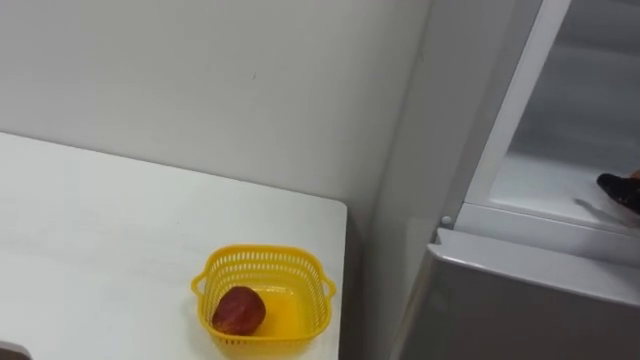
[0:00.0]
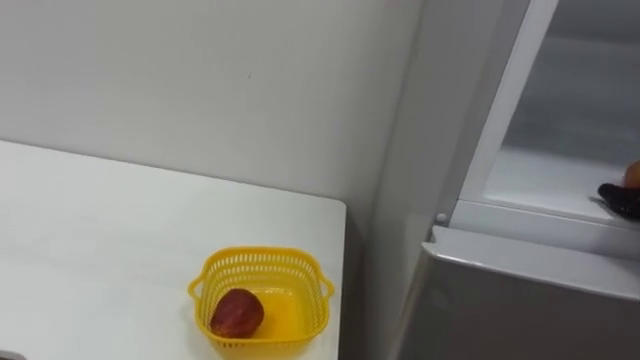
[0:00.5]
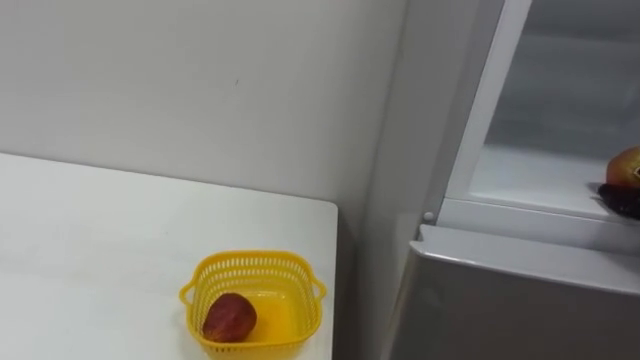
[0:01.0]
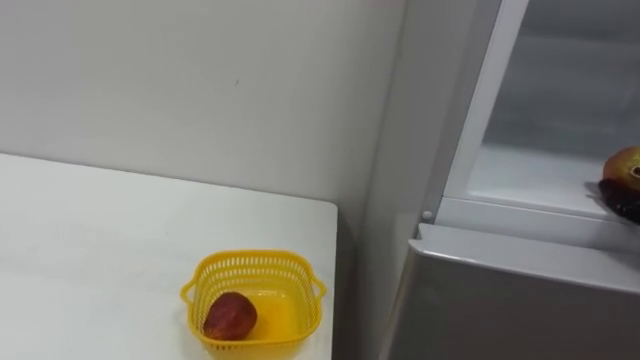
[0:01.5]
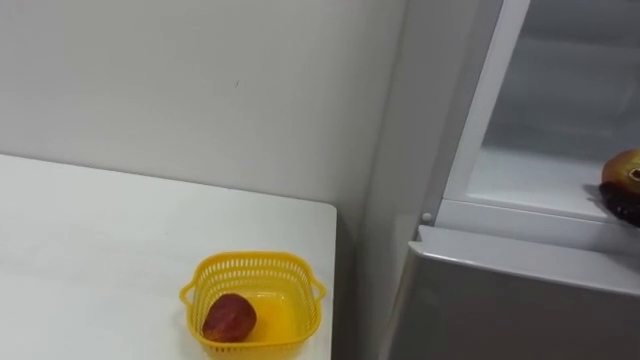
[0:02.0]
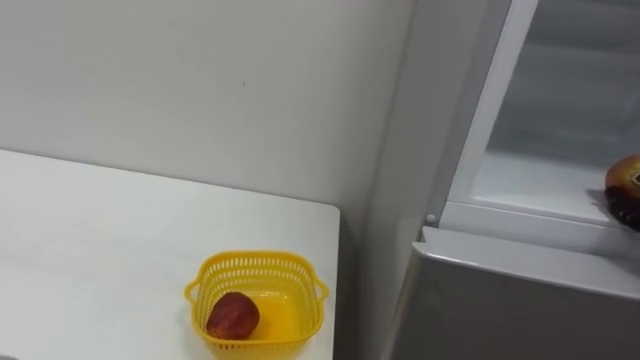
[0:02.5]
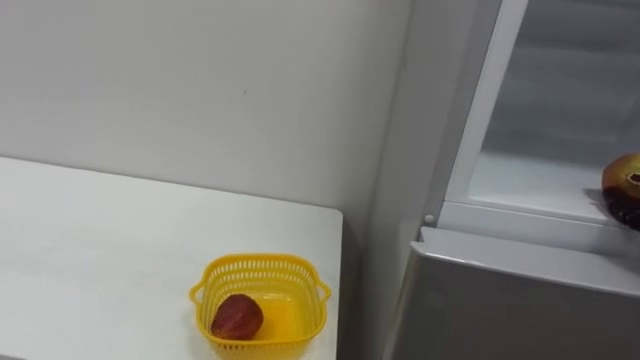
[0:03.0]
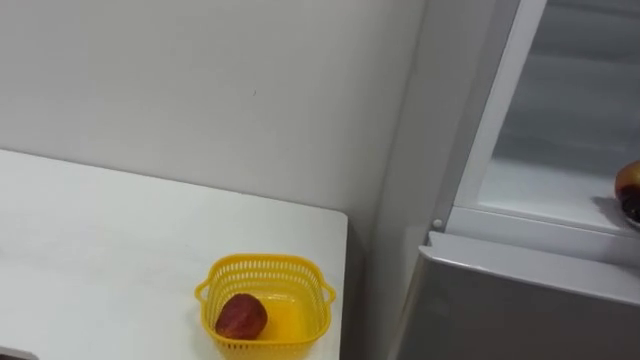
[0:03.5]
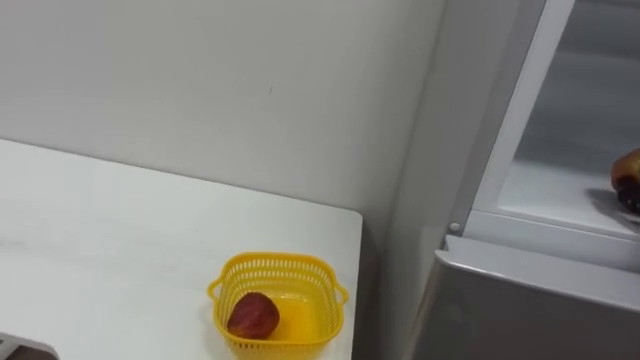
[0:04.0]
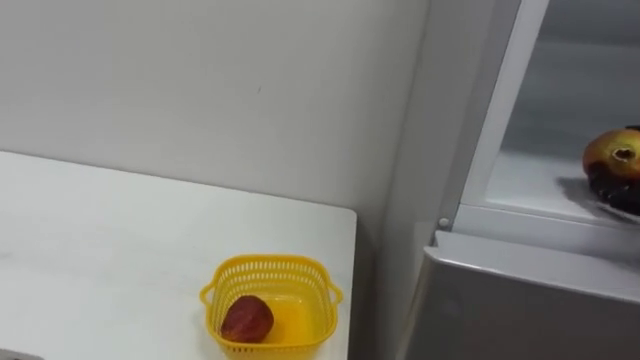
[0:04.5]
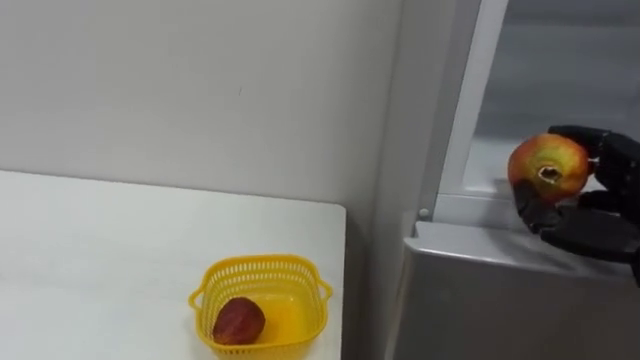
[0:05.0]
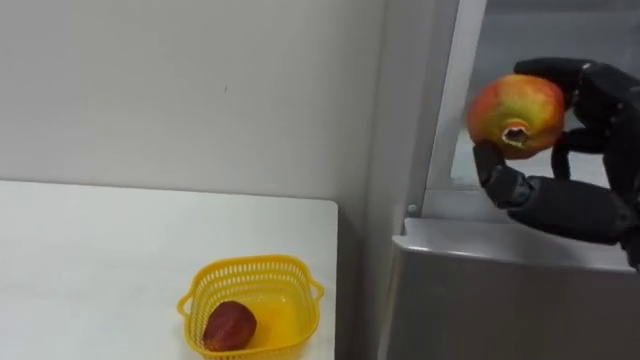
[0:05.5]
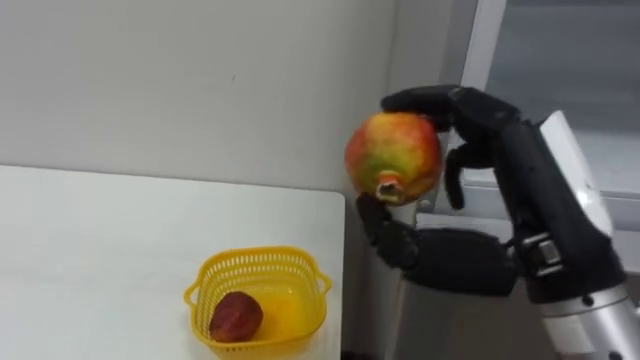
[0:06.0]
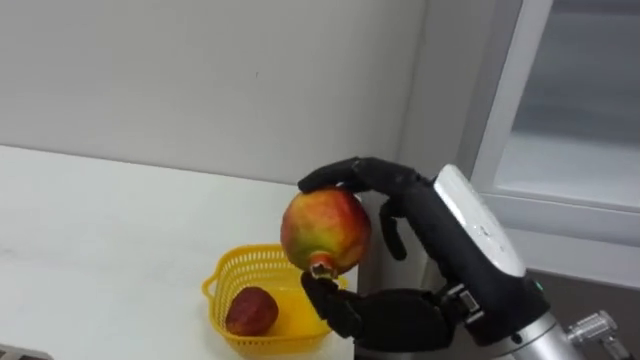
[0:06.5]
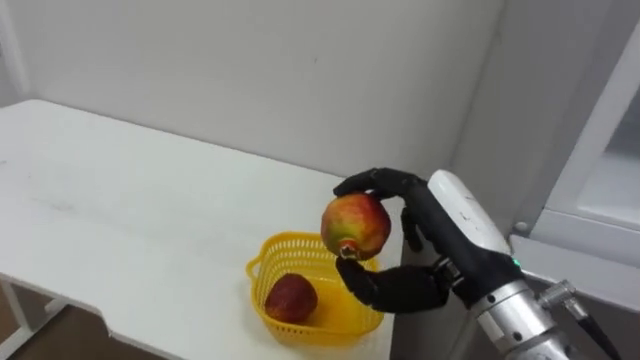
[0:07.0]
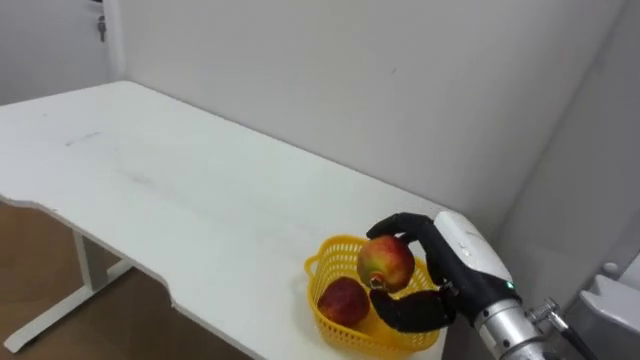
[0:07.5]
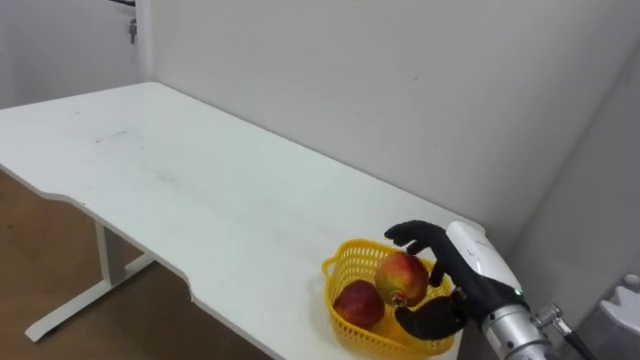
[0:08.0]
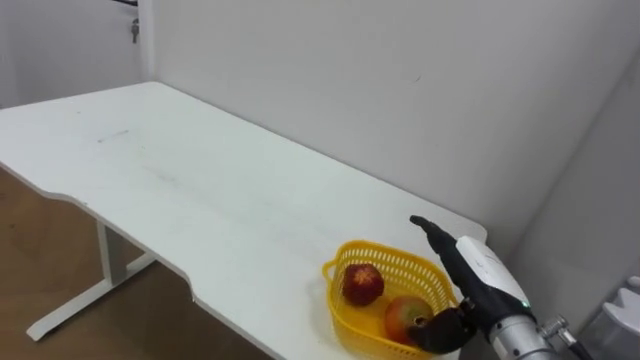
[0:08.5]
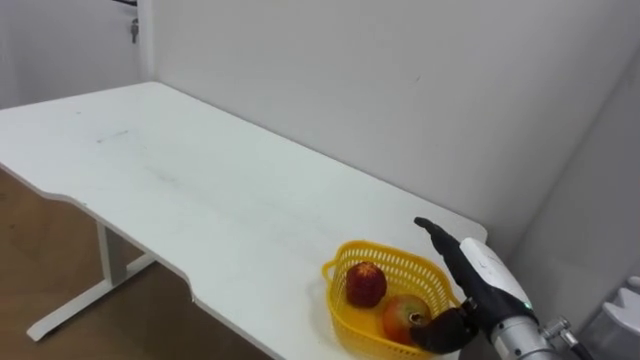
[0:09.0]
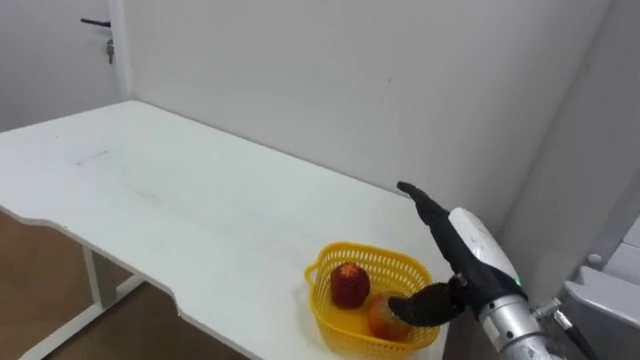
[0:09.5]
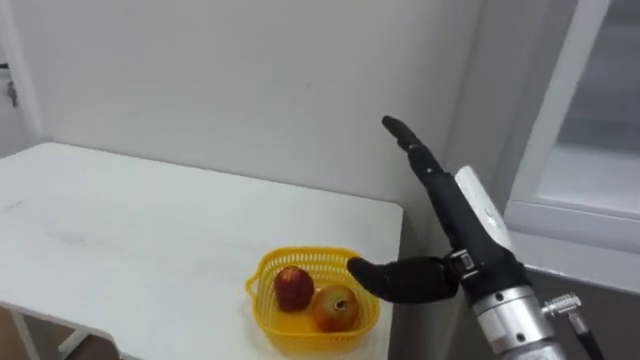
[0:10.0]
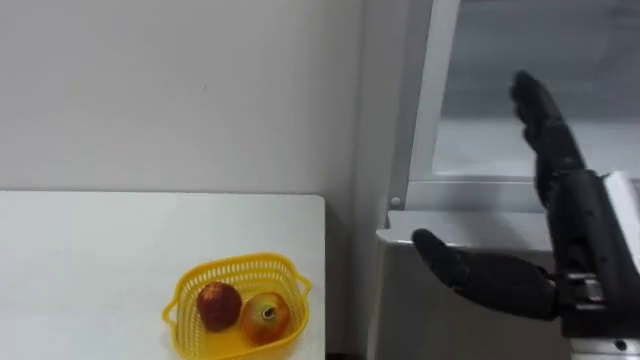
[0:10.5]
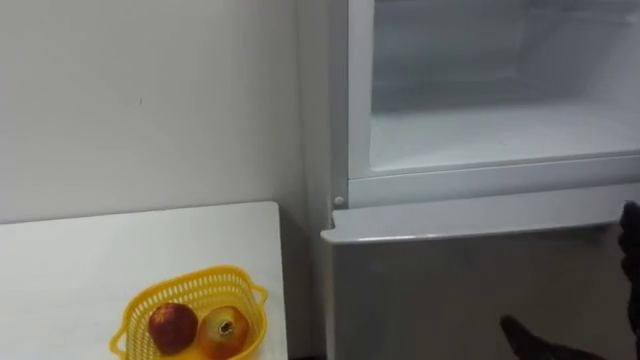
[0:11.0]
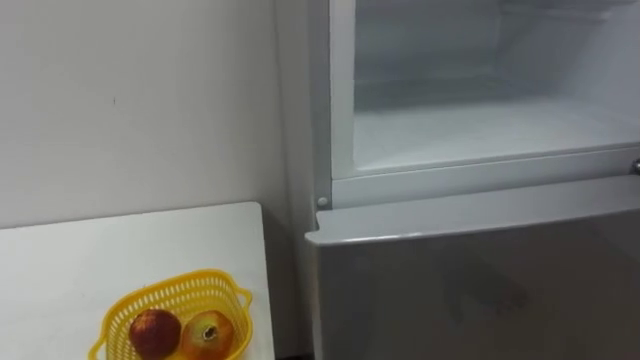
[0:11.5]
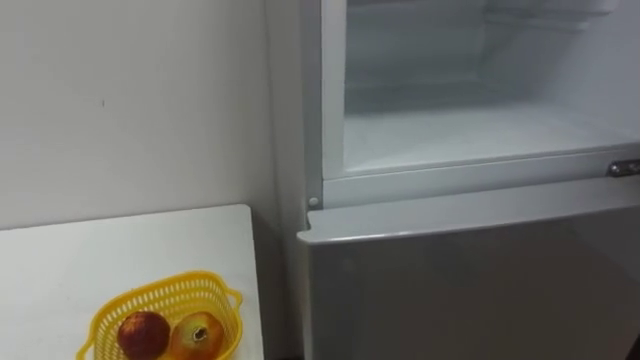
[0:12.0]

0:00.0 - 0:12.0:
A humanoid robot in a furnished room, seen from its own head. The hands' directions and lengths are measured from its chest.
Task of the whole recording: Open the refrigerator door, take out the apple and the pomegranate, place them in the fruit basket on the left, and close the refrigerator door.
0:06.0 - 0:08.0: The right hand heads downward and forward, covering roughly 20 cm.
0:08.0 - 0:10.0: The right hand is displaced upward by roughly 10 cm, and opens up.

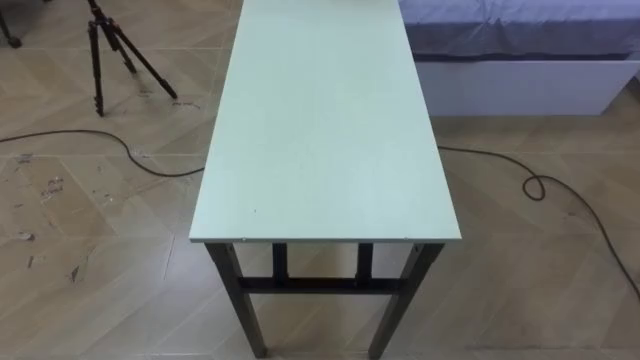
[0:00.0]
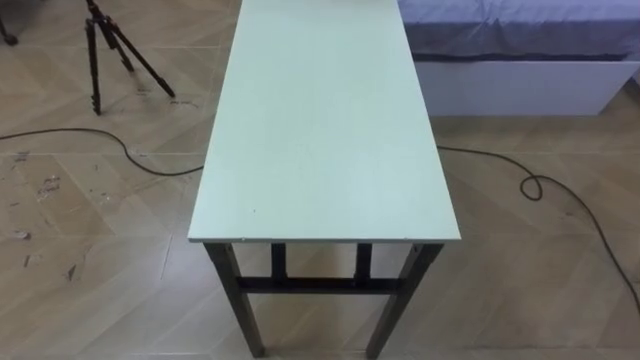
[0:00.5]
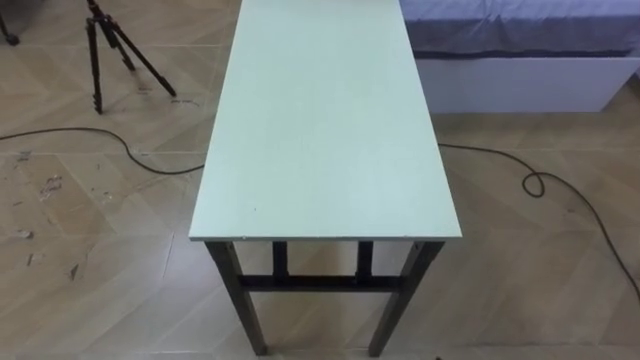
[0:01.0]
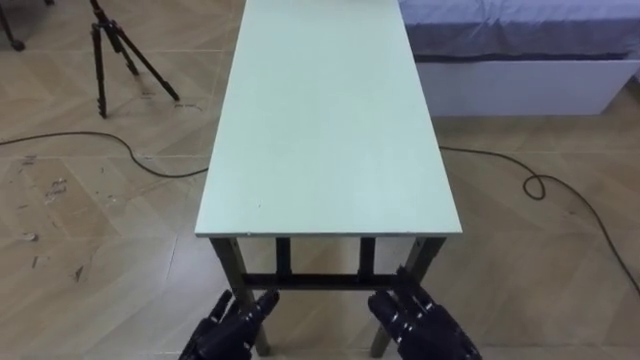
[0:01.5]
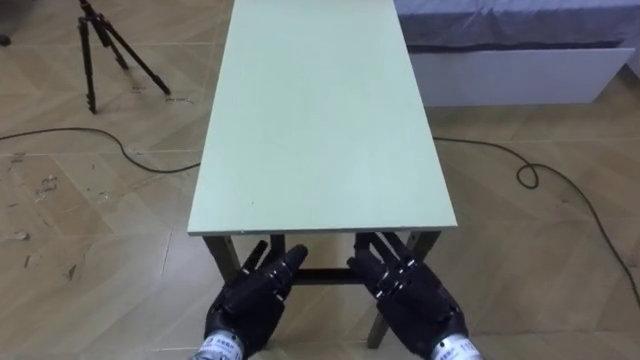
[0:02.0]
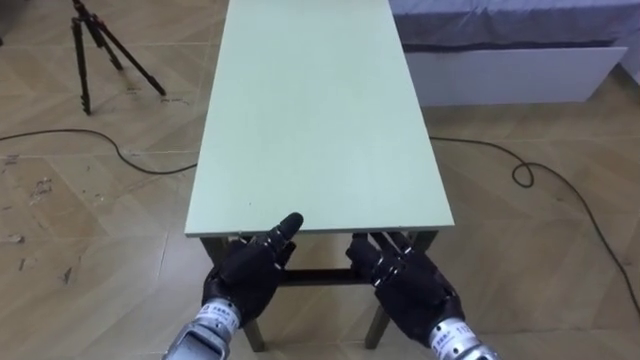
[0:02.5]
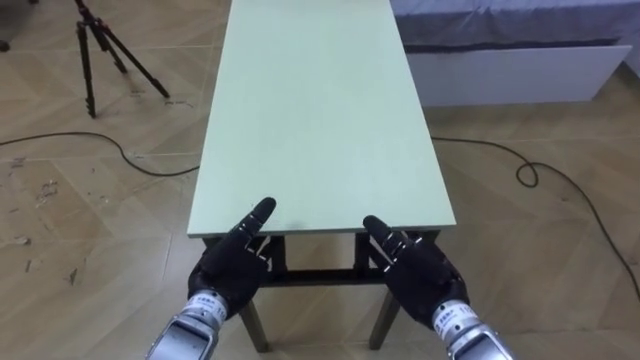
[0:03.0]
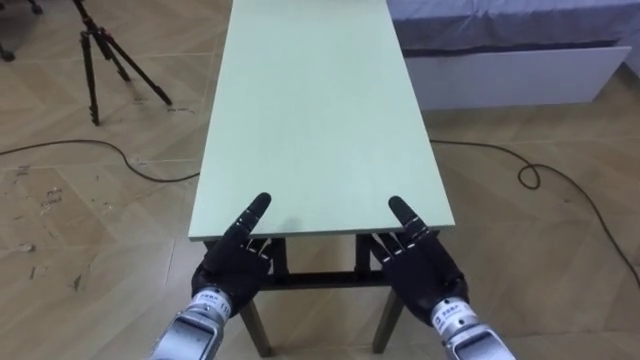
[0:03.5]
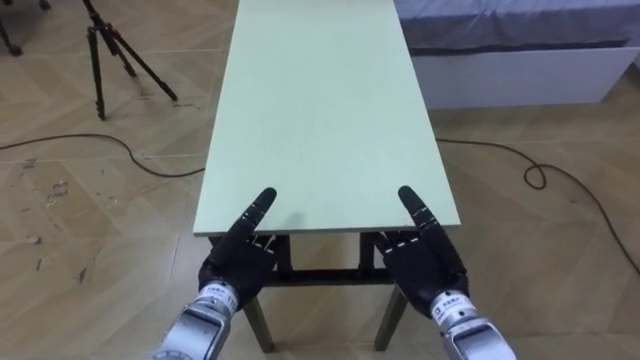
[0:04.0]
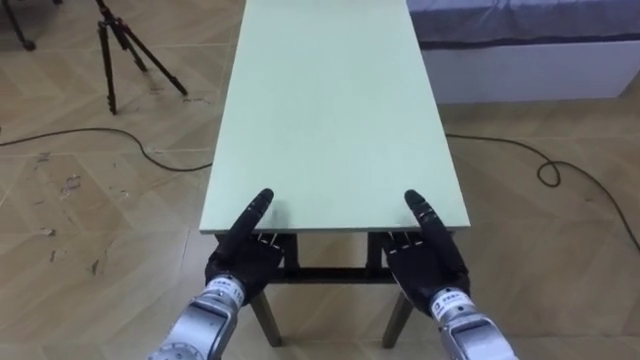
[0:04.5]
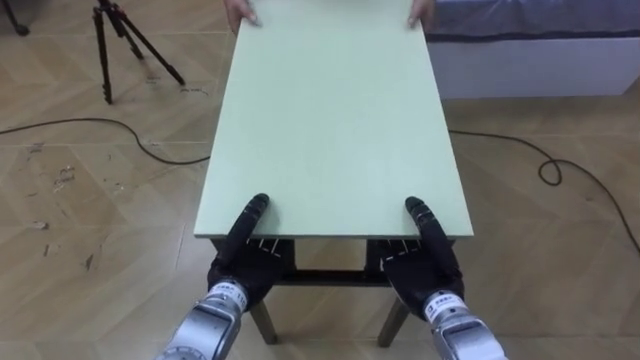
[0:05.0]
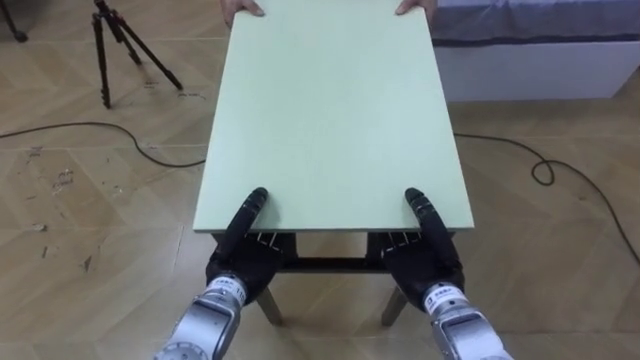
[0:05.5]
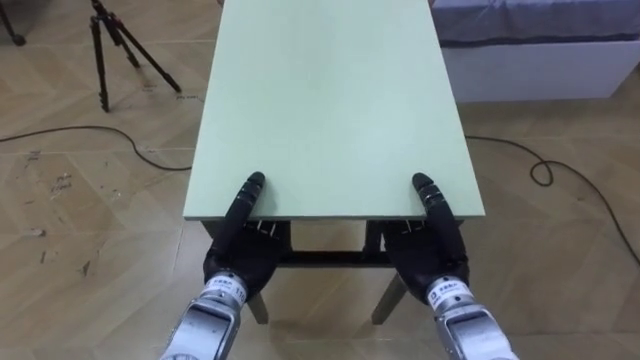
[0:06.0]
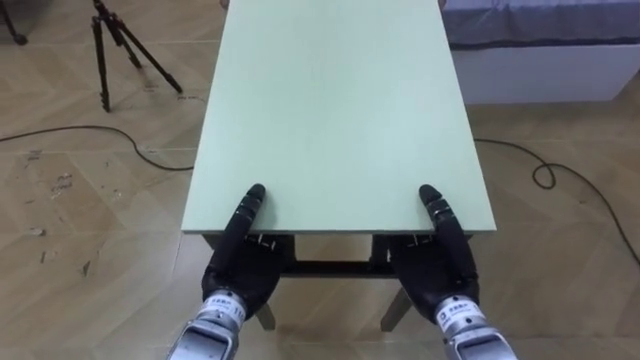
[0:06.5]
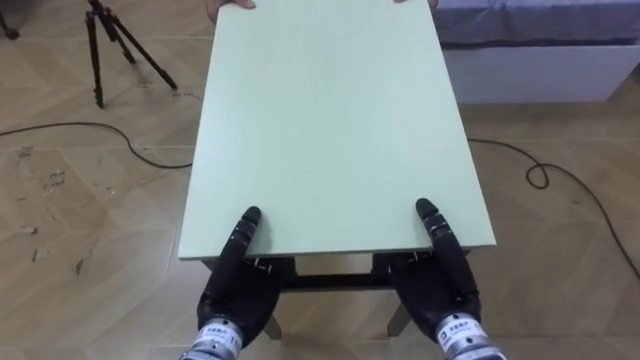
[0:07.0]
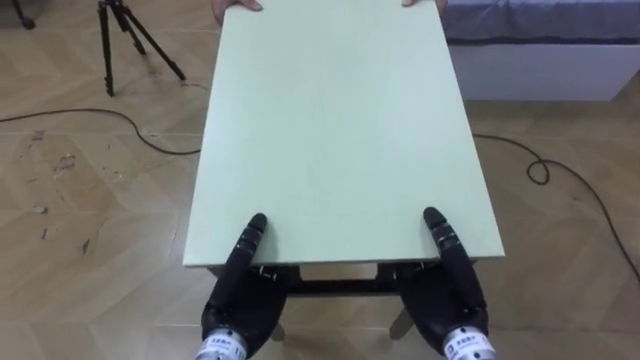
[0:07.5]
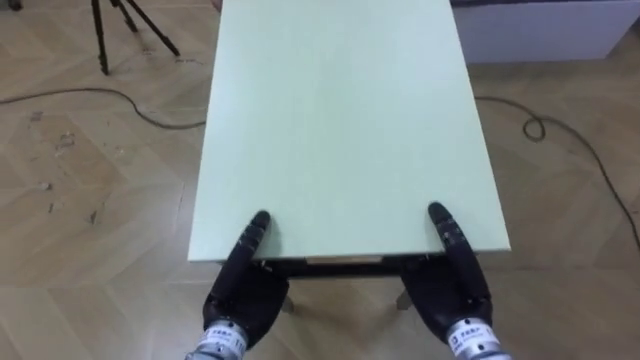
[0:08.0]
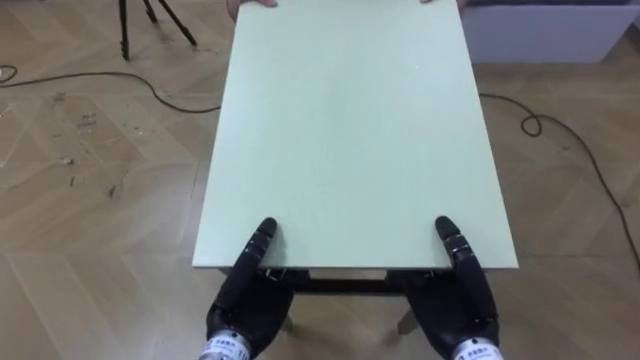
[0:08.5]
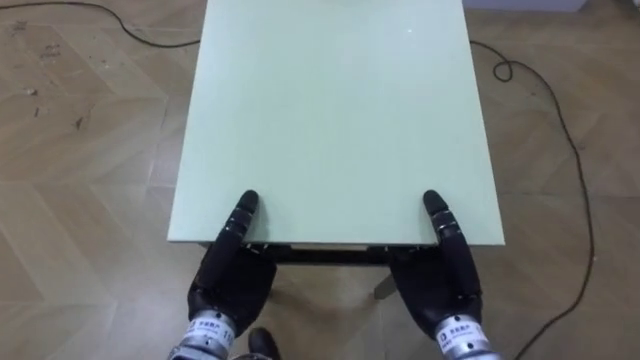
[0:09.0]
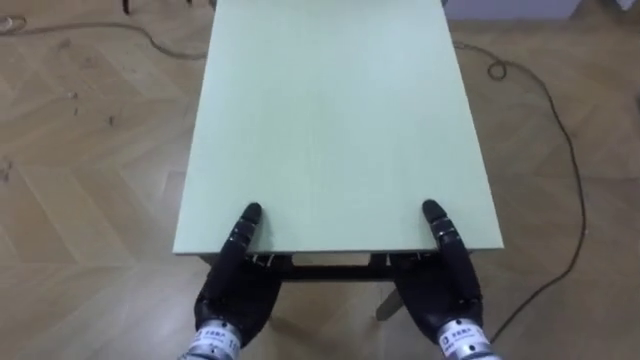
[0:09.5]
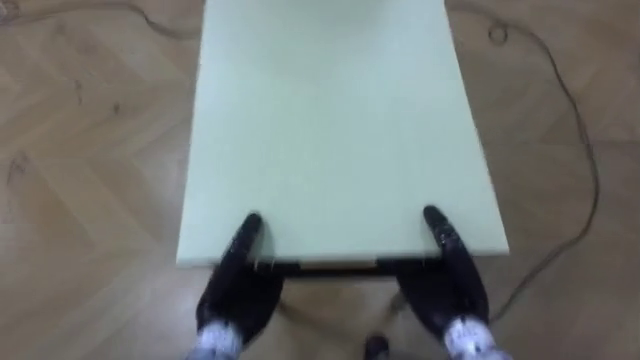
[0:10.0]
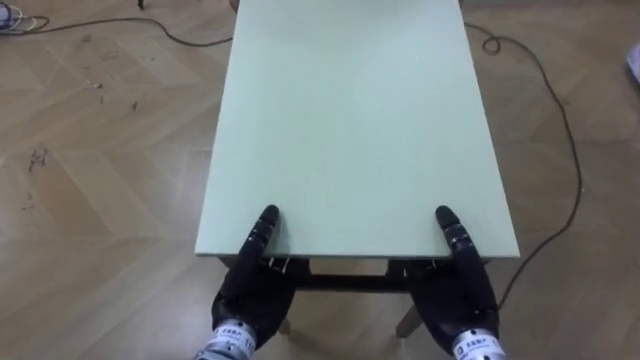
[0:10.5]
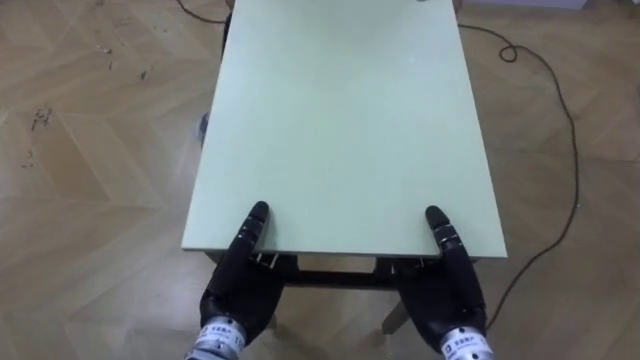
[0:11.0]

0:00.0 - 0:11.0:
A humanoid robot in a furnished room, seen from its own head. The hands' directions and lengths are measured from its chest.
Task of the whole recording: Move the table to the back left with someone.
0:02.0 - 0:03.5: The left hand shifts by approximately 5 cm.
0:03.5 - 0:05.5: The right hand closes its fingers; the left hand closes up.
0:05.5 - 0:07.5: The left hand is displaced backward by about 5 cm. The right hand changes place by roughly 5 cm.
